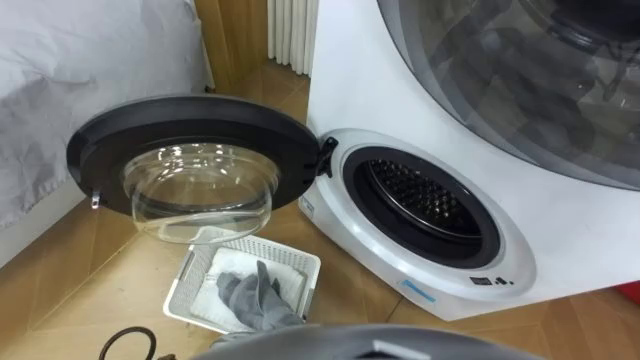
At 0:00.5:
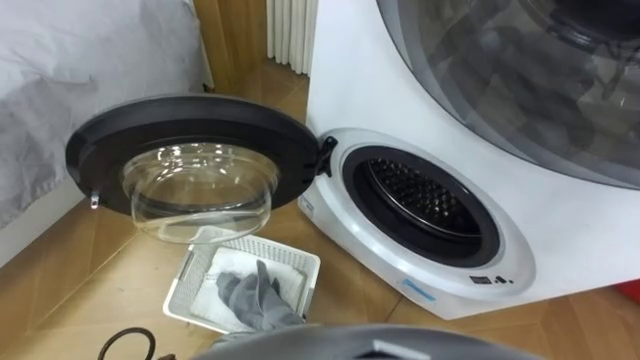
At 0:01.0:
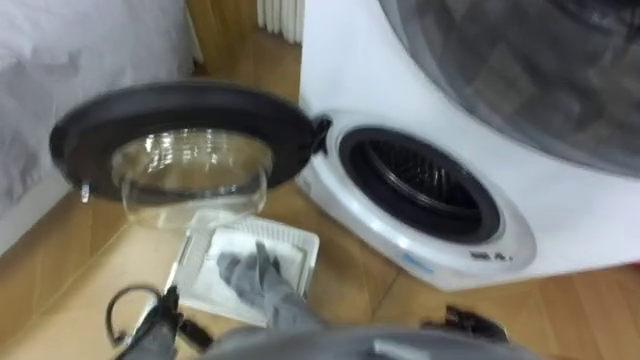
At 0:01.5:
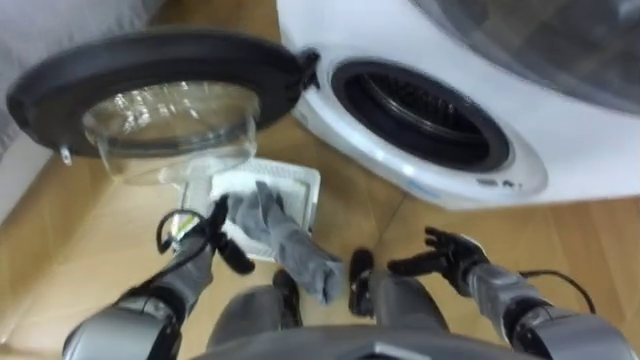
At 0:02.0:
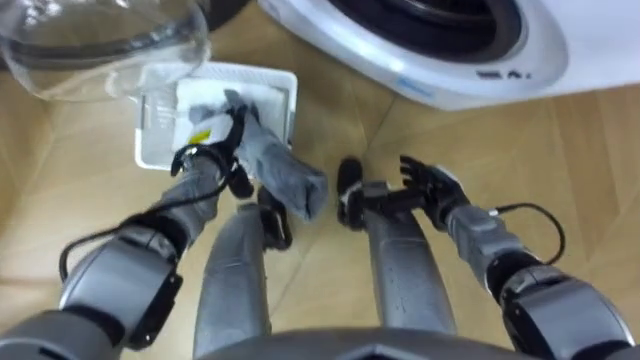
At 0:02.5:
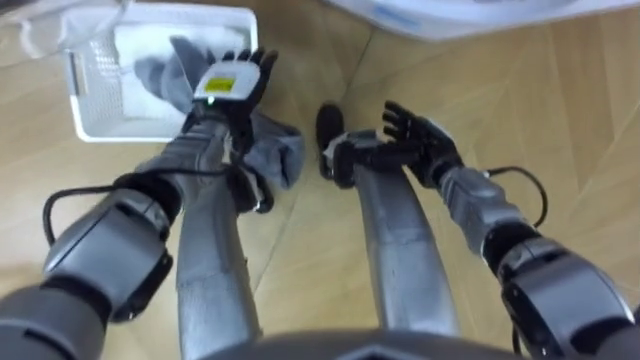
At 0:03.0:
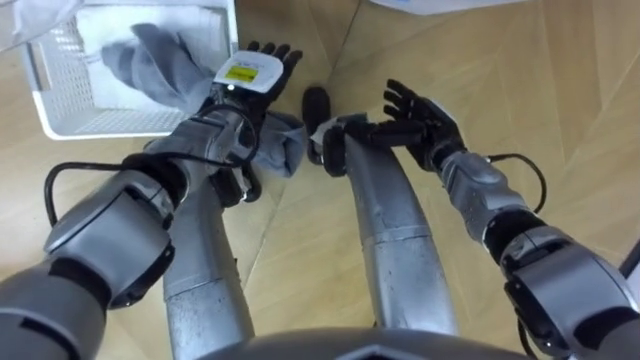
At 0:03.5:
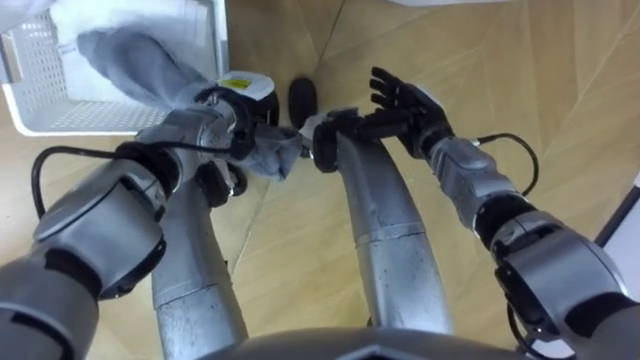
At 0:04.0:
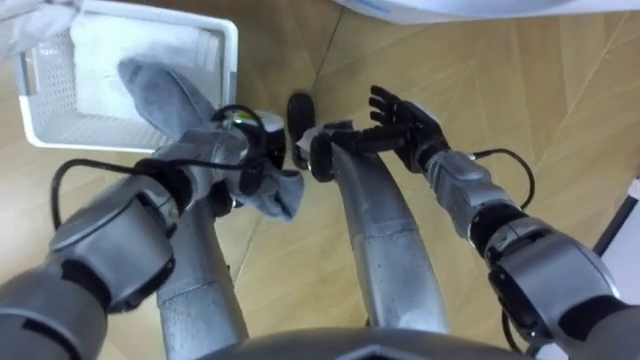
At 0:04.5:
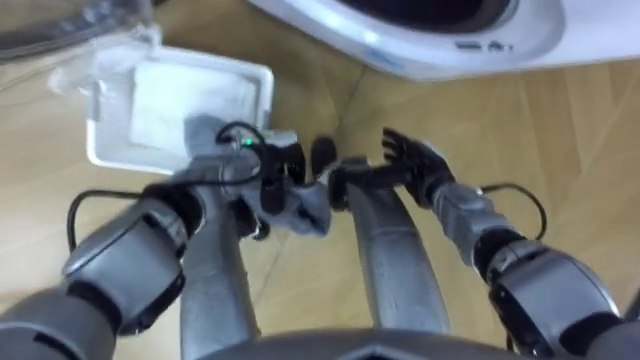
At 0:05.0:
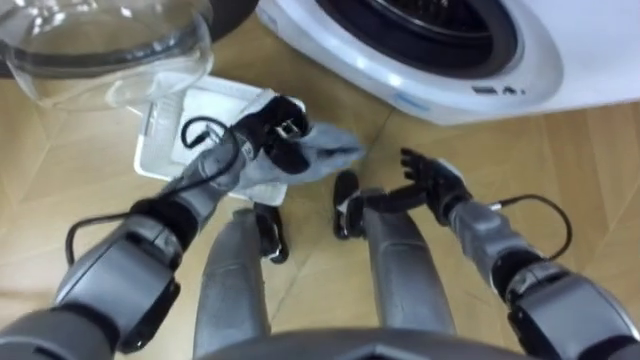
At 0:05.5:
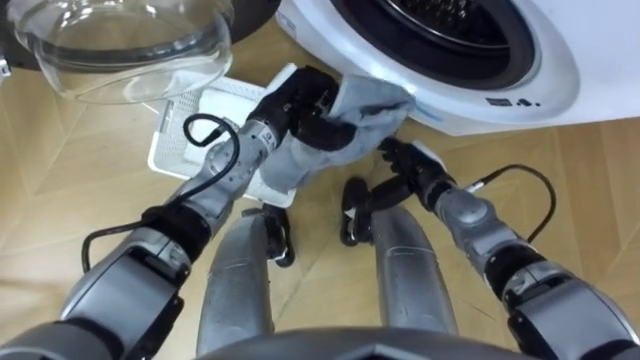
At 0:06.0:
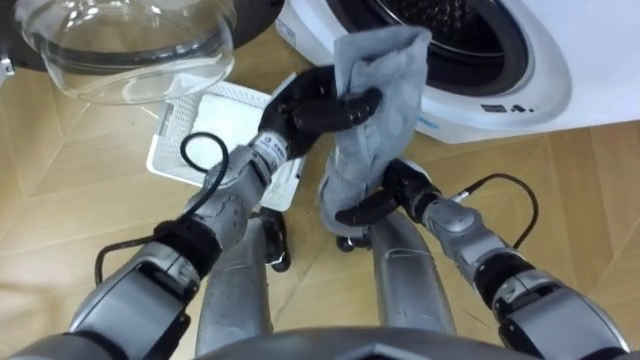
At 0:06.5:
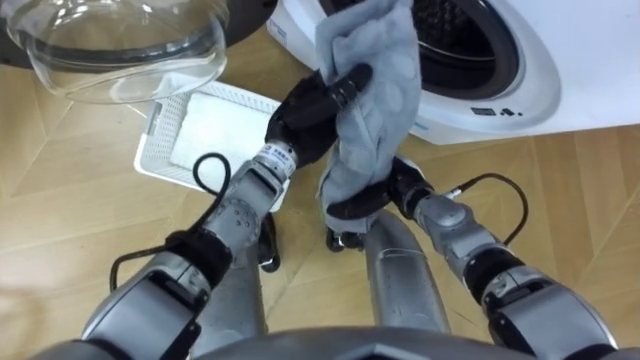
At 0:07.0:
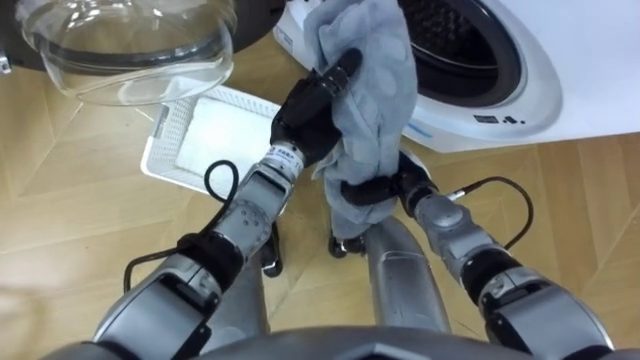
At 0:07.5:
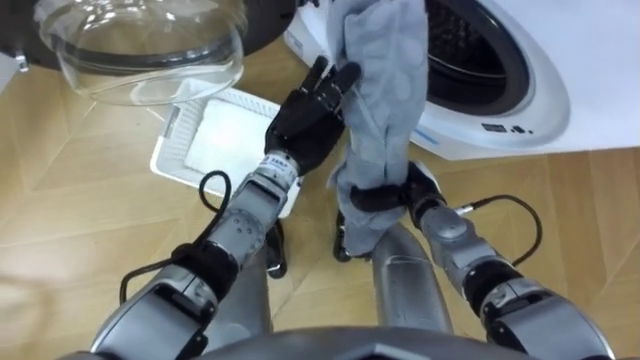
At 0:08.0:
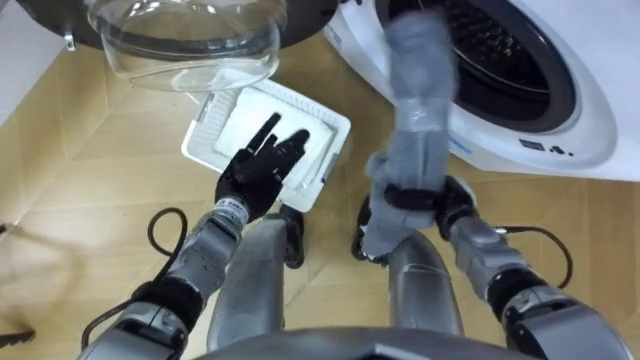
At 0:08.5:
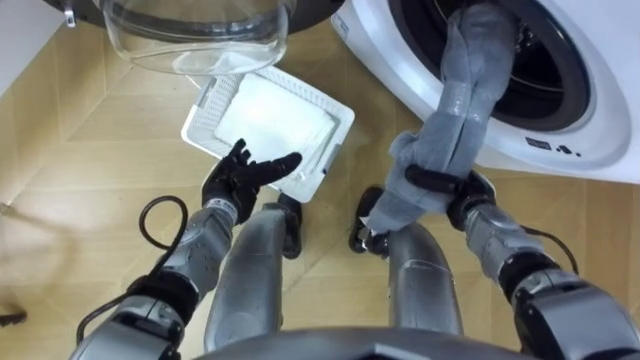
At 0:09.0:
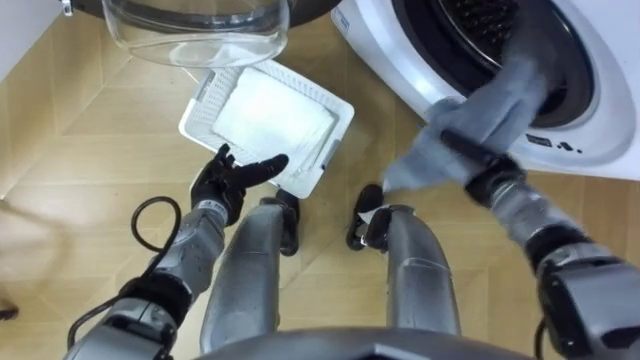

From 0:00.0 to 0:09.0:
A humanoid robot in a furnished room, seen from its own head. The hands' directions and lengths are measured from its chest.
Task of the whole recording: Take the towel from the basket and put it into the washing machine.
From 0:02.0 to 0:04.5: The left hand moves to the right, about 10 cm, and closes its fingers; the right hand moves some 10 cm forward and comes back.
From 0:04.5 to 0:07.0: The left hand shifts about 10 cm upward and to the right. The right hand closes up.
From 0:07.0 to 0:09.0: The left hand is displaced to the left and downward by some 20 cm, and opens, while the right hand moves to the right, about 15 cm.

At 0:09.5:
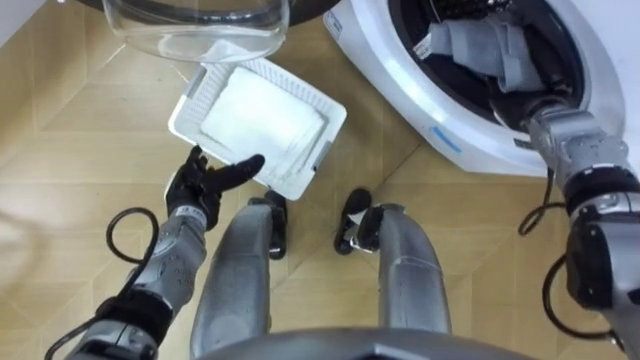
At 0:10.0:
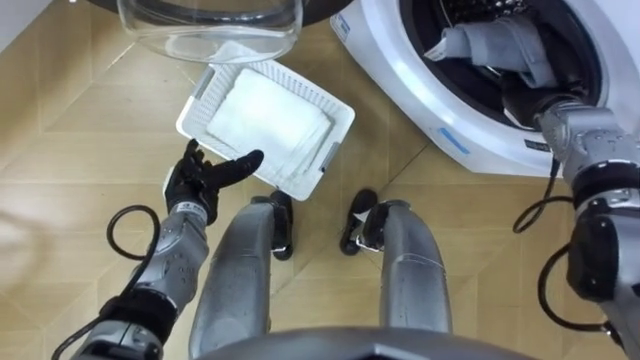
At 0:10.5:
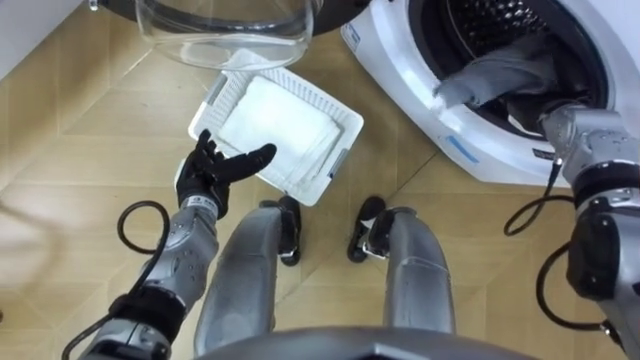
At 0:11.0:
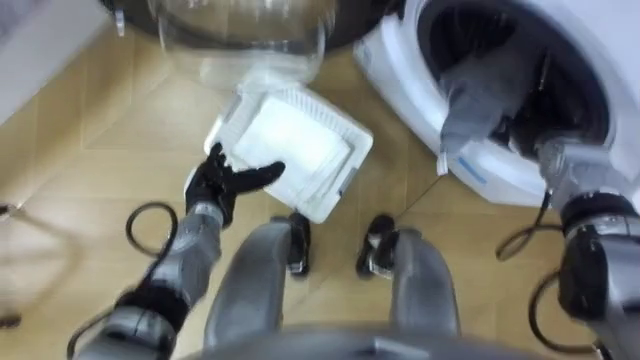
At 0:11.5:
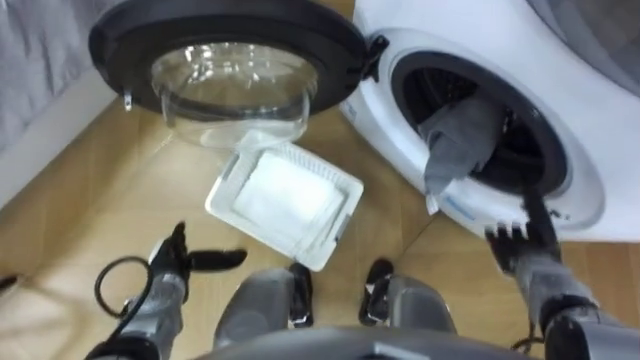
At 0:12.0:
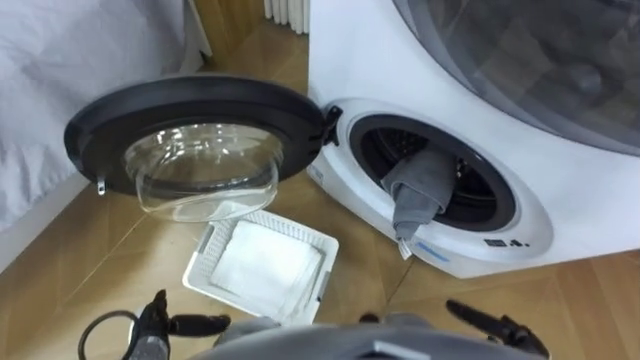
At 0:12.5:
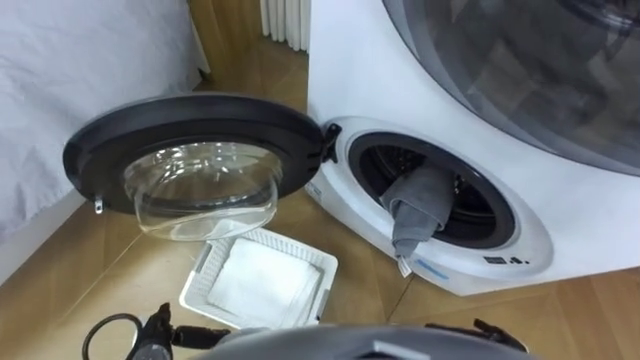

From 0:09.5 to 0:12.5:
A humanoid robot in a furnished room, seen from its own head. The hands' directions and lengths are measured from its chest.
Task of the whole recording: Take the towel from the basket and put it into the washing machine.
From 0:09.5 to 0:11.0: The right hand ends up approximately 5 cm from where it was, and opens.
From 0:11.0 to 0:12.5: The two hands go some 30 cm backward and downward.

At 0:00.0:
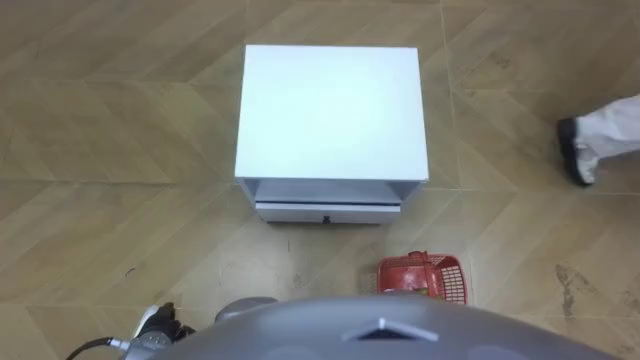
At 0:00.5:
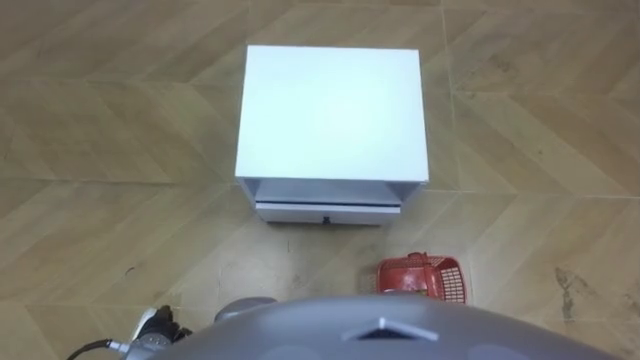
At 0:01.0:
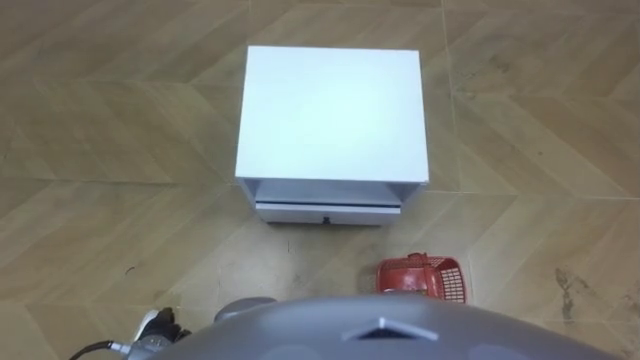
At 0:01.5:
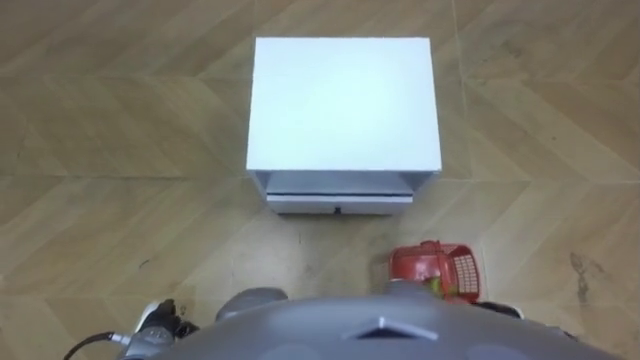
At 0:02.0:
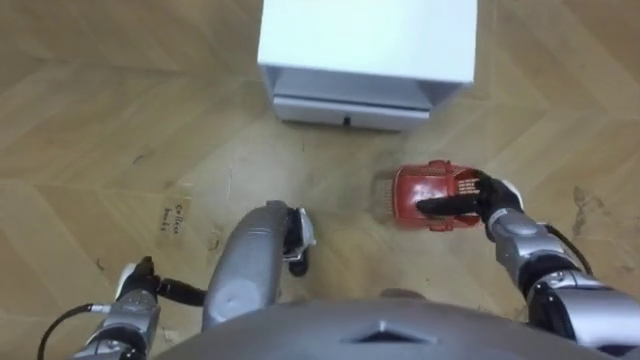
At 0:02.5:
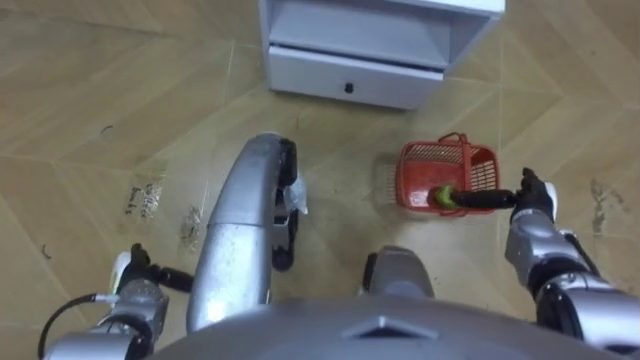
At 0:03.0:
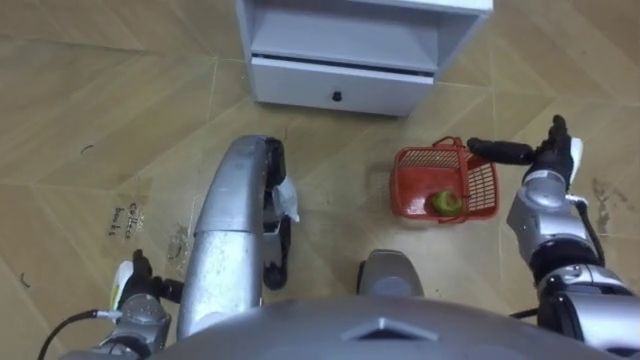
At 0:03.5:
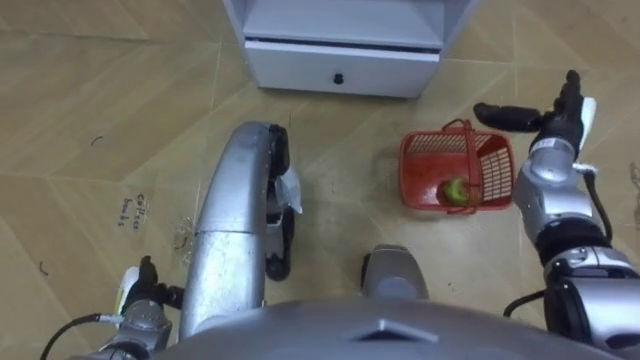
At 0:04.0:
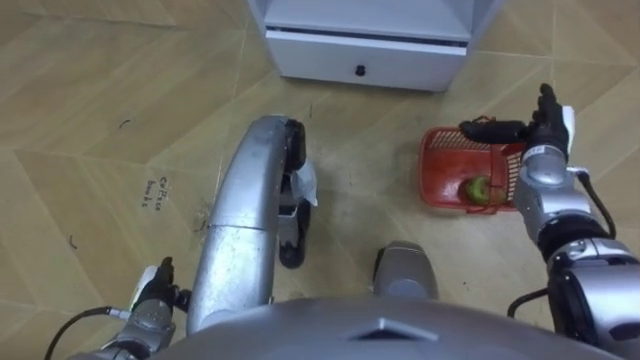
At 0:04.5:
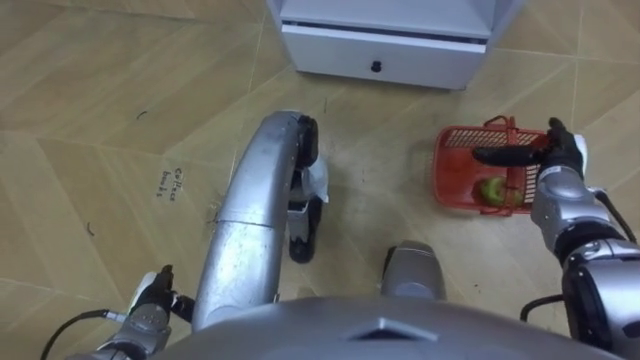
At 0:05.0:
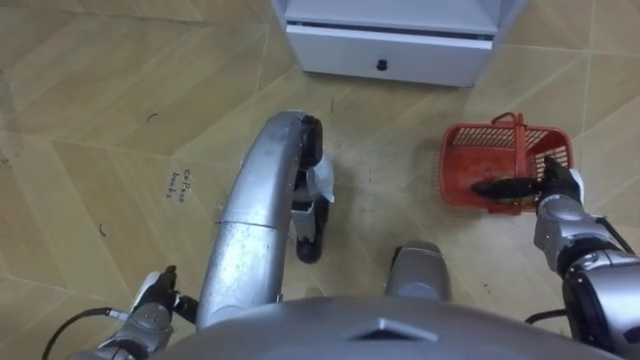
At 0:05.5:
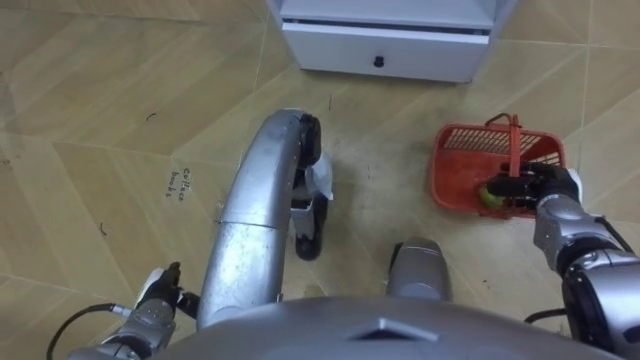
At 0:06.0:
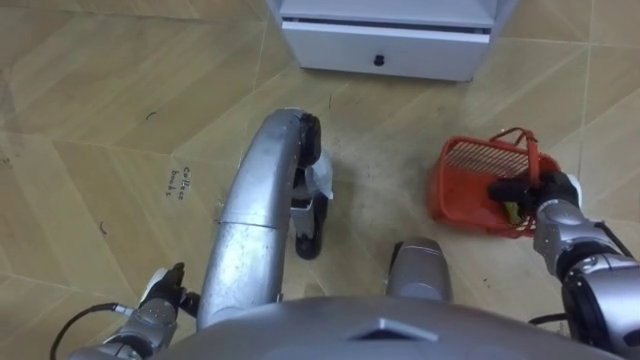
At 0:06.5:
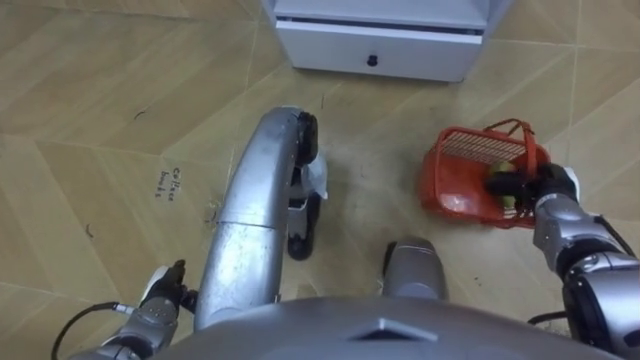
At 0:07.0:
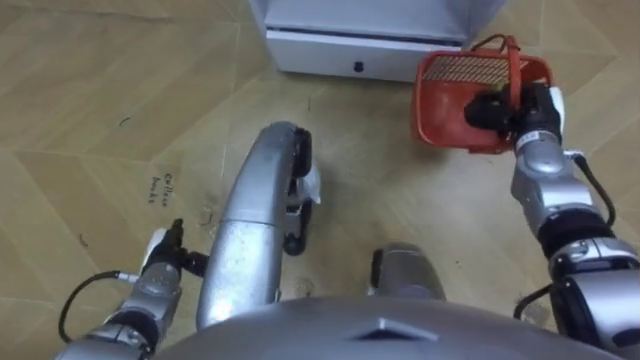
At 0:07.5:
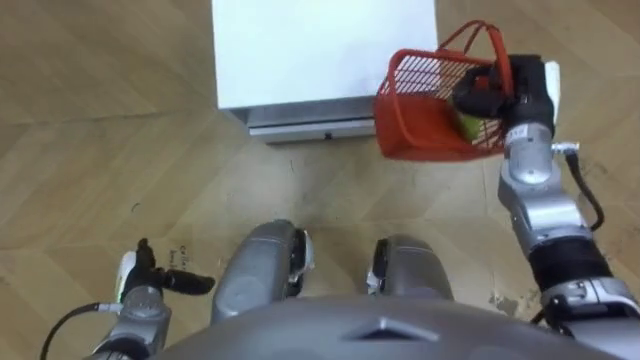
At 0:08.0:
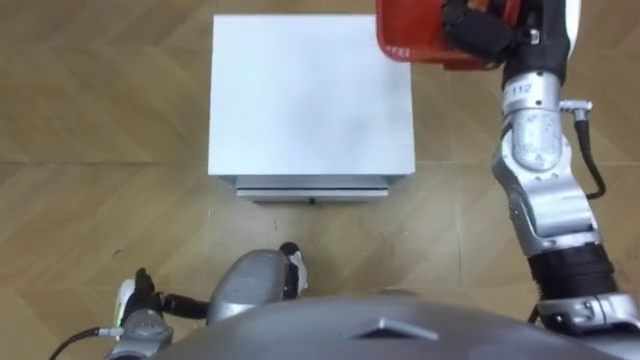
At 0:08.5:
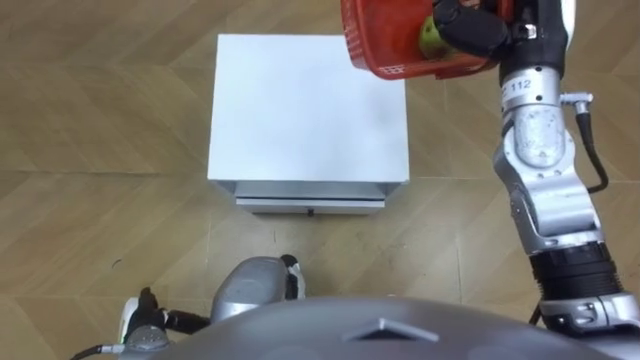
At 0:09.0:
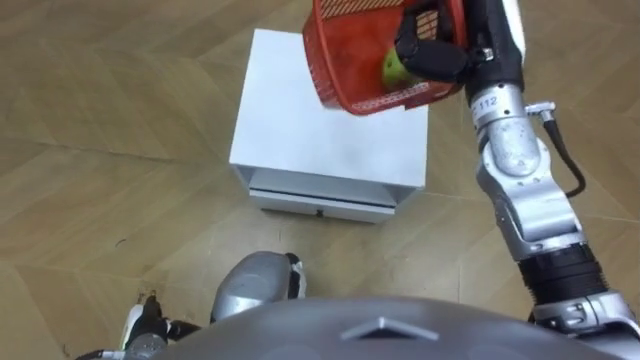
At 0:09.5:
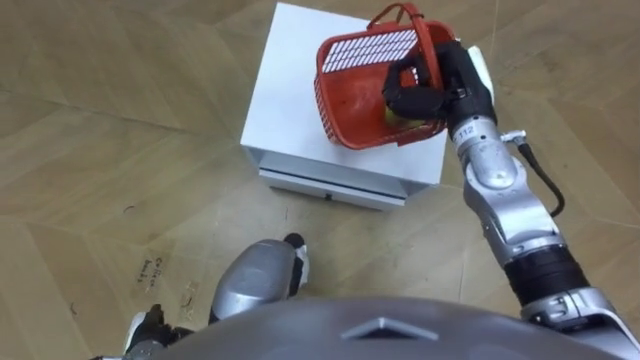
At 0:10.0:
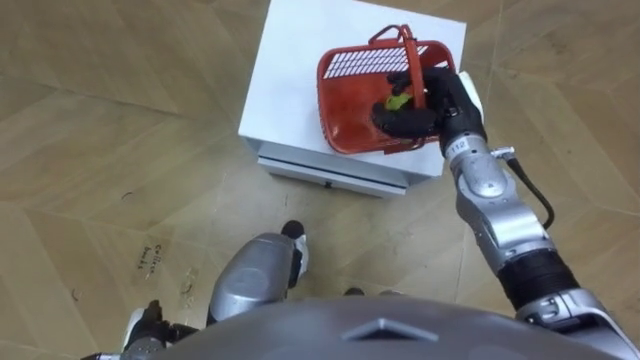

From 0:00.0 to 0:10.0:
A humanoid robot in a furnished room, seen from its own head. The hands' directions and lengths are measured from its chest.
Task of the whole recording: Pick up the fruit basket from the floor and place it on the cabinet.
From 0:02.0 to 0:04.0: The right hand travels forward and upward by approximately 15 cm.
From 0:04.0 to 0:06.0: The right hand shifts approximately 10 cm backward and downward, and closes its fingers.
From 0:06.0 to 0:08.0: The right hand moves upward, forward and to the left, some 30 cm.
From 0:08.0 to 0:10.0: The right hand shifts roughly 15 cm downward and to the left.
